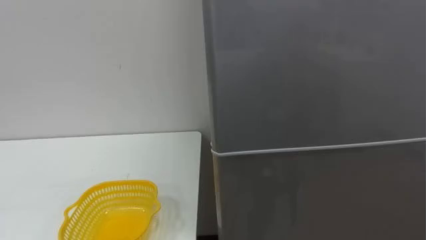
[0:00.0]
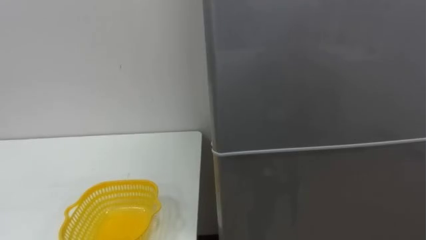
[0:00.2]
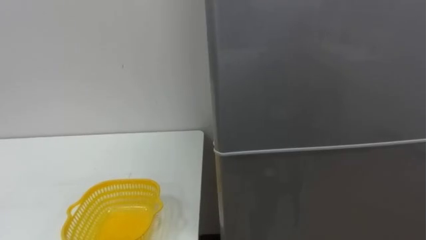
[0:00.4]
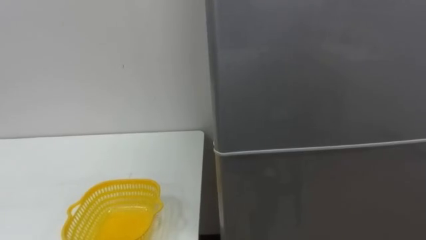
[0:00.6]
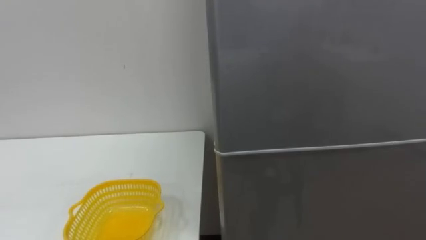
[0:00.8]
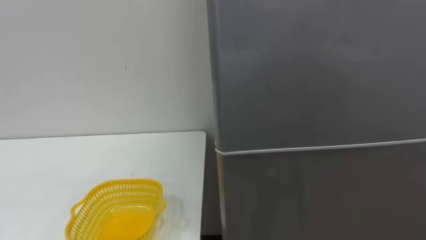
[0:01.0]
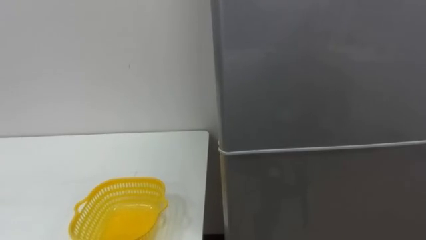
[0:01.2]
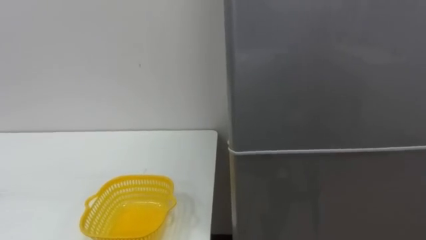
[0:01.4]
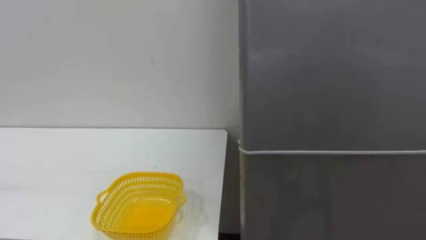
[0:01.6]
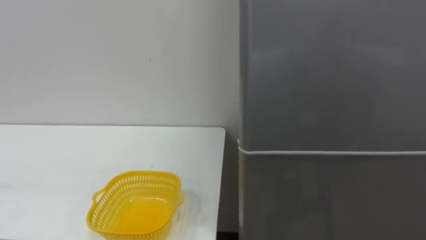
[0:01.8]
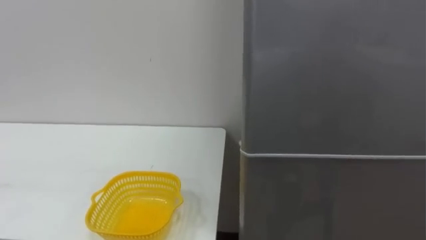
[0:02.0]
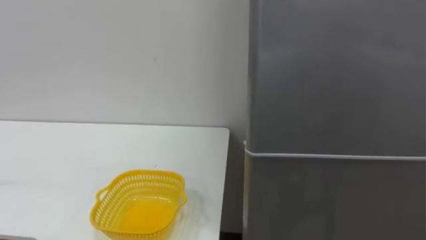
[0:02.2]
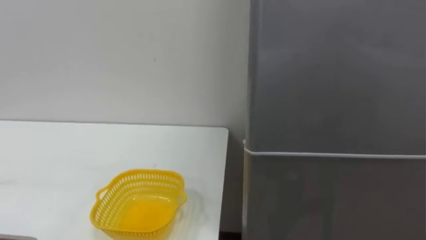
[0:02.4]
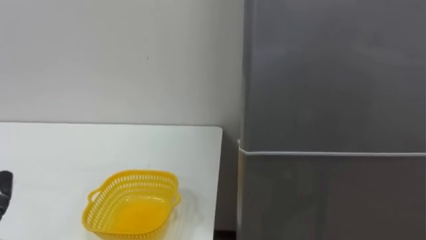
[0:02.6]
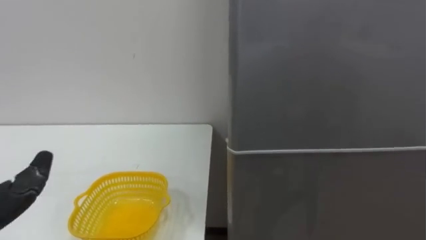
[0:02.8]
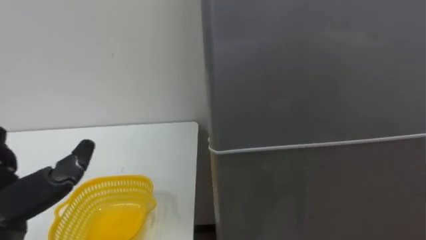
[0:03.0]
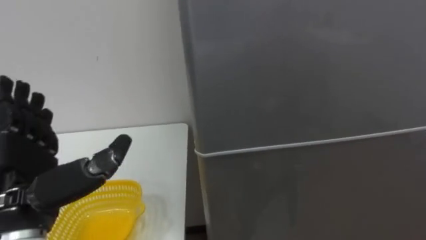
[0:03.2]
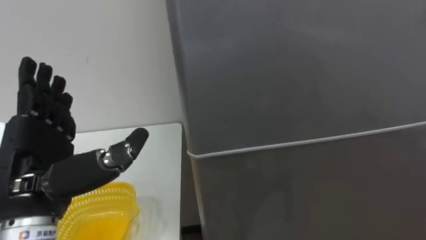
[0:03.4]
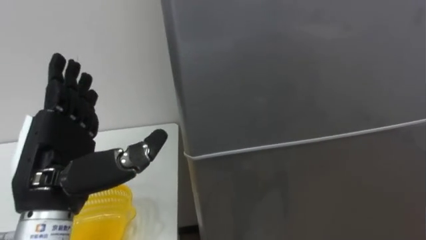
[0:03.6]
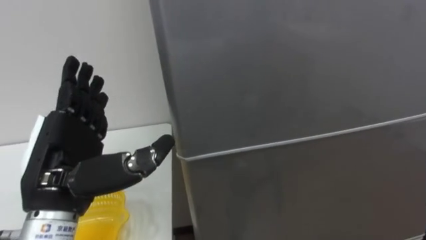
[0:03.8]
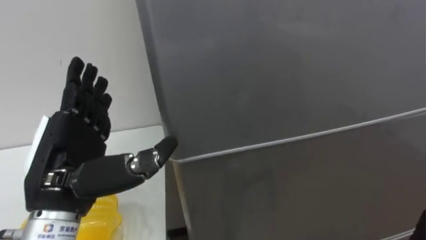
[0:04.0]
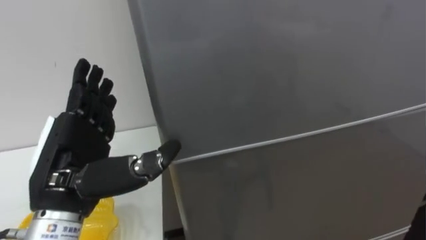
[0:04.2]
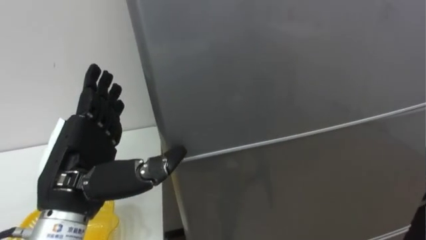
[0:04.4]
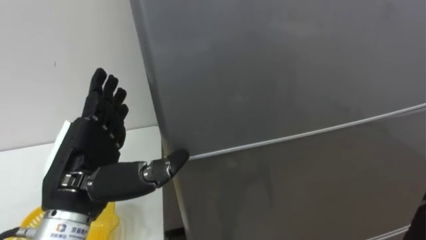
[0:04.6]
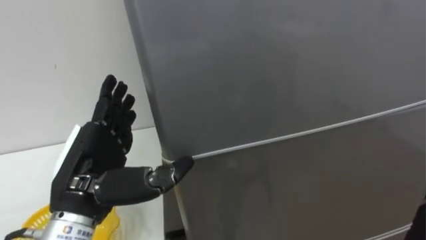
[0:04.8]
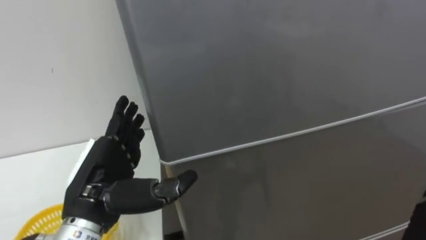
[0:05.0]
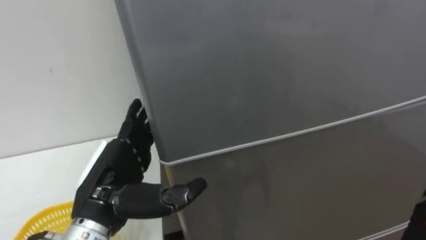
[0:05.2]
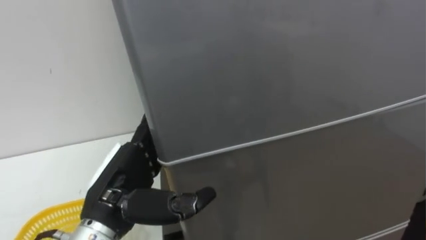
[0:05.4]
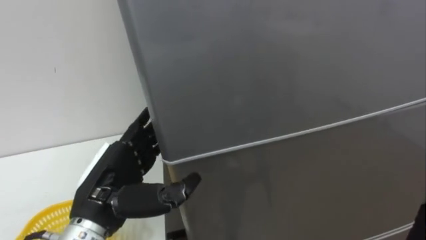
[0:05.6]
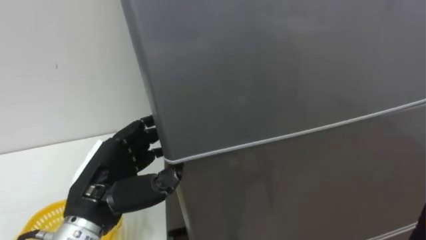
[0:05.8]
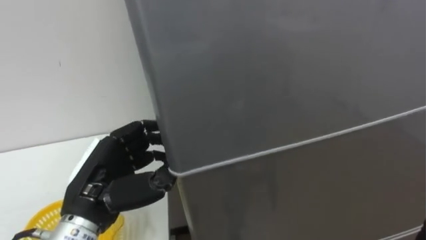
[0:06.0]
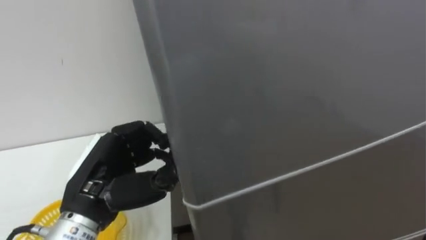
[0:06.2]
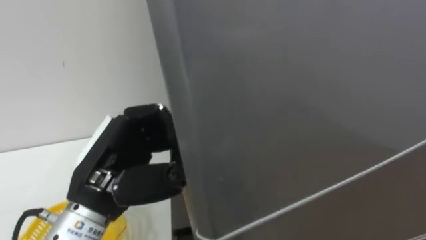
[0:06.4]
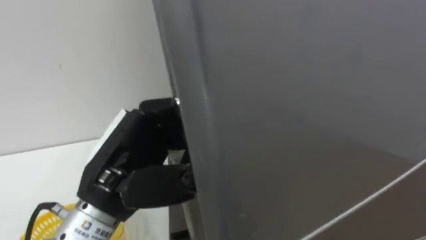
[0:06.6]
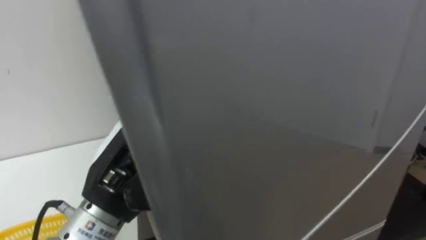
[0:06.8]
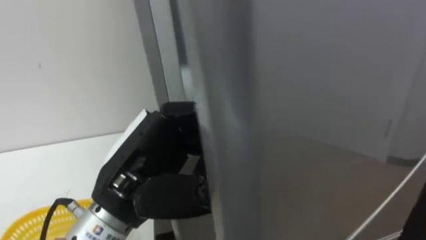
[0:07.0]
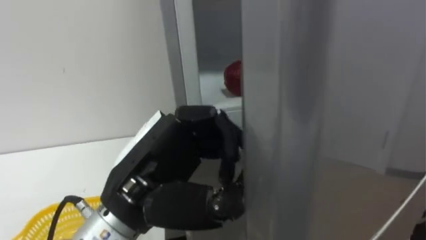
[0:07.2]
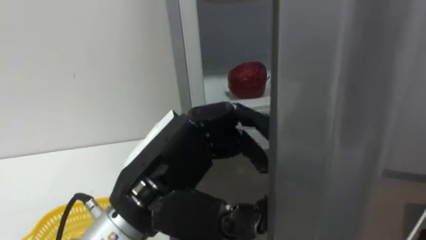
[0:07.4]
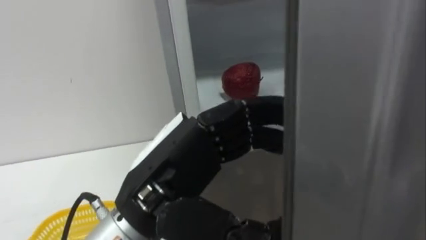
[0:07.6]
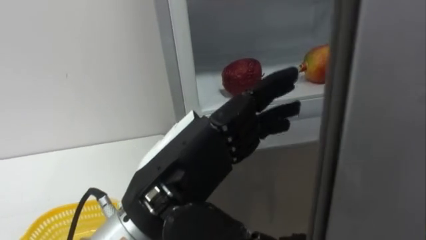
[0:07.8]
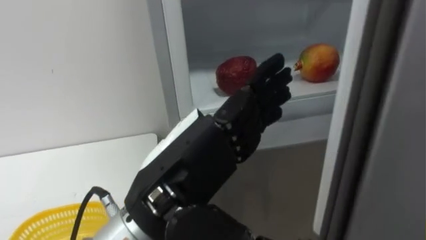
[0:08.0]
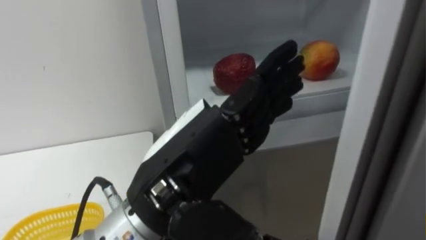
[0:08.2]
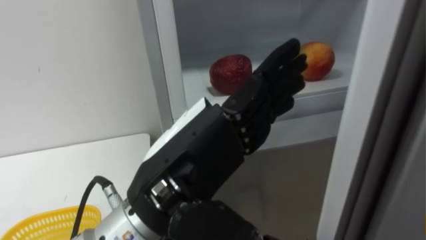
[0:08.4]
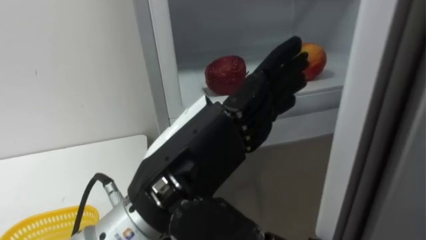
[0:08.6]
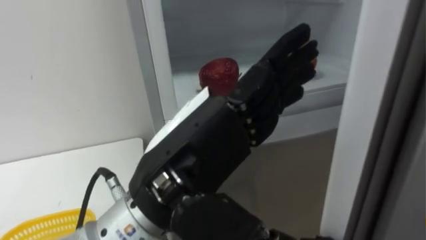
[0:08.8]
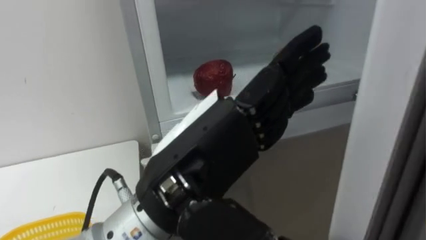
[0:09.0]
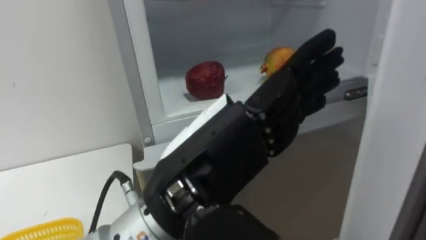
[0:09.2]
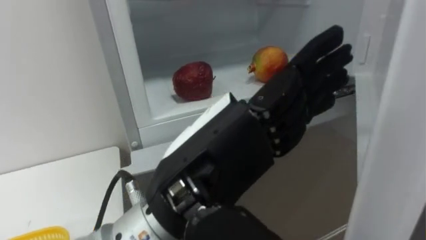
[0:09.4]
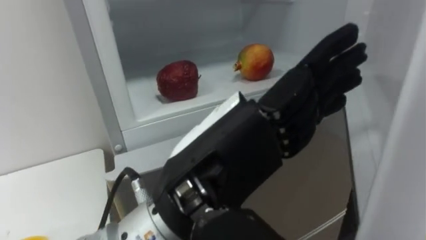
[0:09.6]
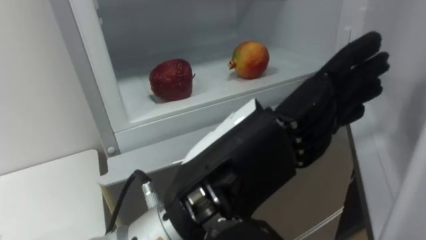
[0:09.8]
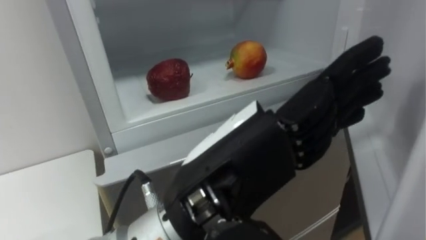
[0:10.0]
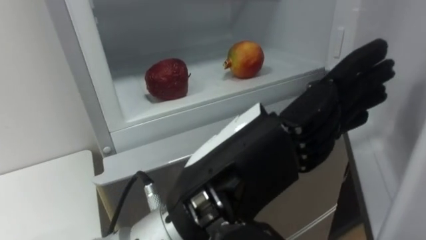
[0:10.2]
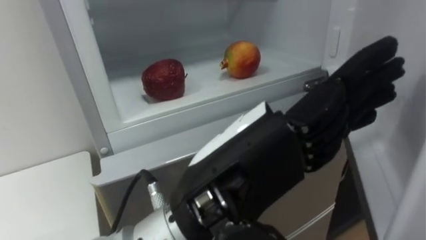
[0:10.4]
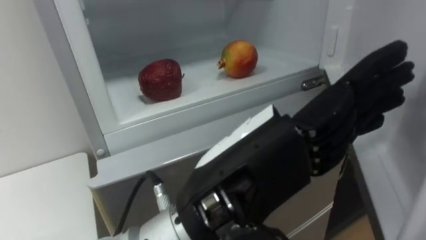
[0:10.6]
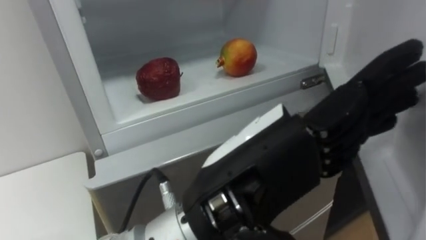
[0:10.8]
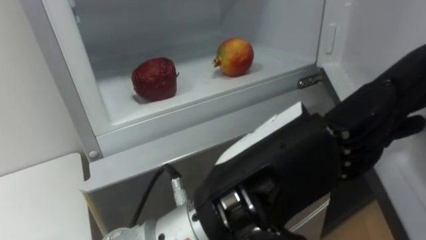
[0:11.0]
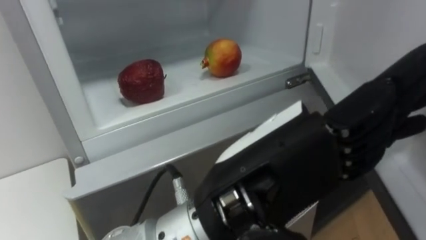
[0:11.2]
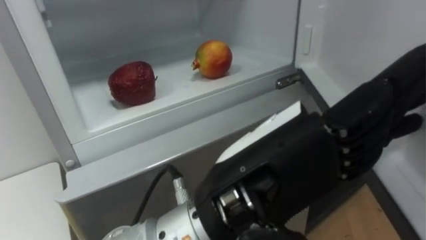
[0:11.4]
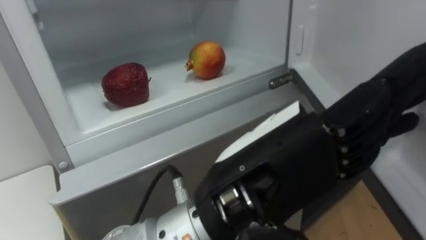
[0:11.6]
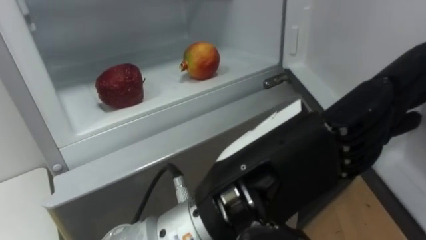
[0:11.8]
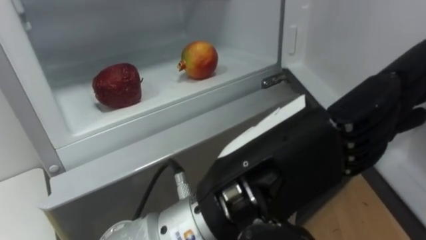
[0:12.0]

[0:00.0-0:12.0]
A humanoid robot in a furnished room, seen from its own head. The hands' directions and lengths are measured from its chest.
Task of the whole recording: Open the refrigerator door, take out the apple and the pomegranate, place them in the fruit basket on the left, and close the refrigerator door.
0:04.4 to 0:06.0: The left hand closes up.
0:06.0 to 0:07.6: The left hand is displaced to the right, upward and backward by some 15 cm, and closes and opens again.
0:07.6 to 0:09.0: The left hand changes place by some 5 cm, and opens up.

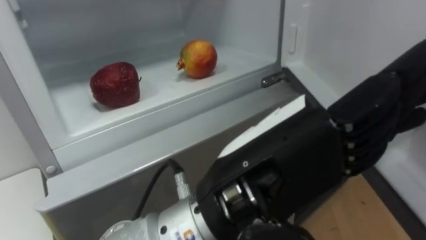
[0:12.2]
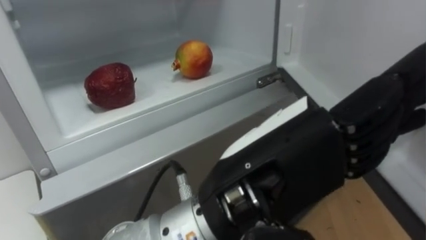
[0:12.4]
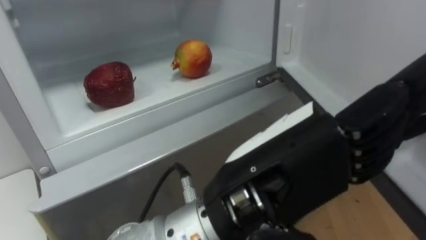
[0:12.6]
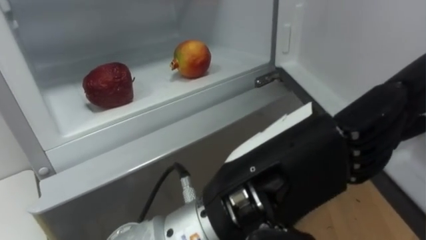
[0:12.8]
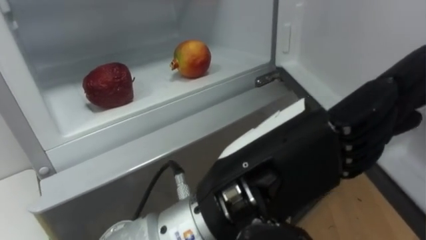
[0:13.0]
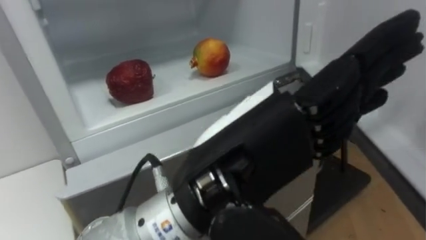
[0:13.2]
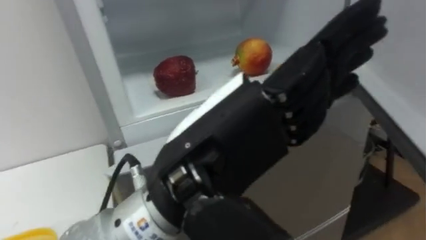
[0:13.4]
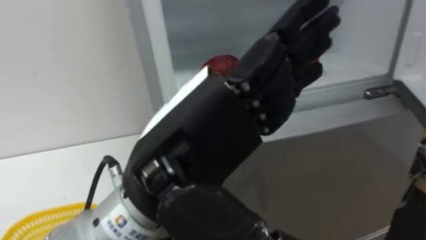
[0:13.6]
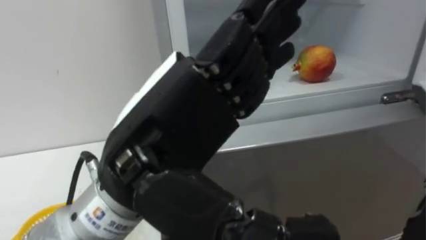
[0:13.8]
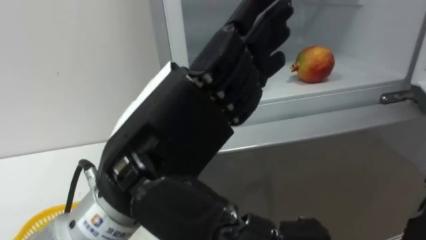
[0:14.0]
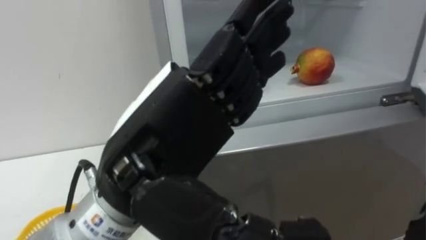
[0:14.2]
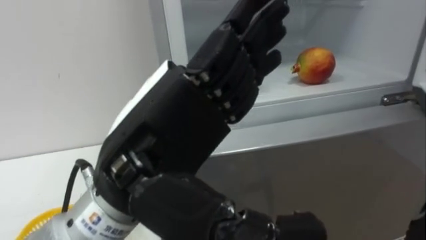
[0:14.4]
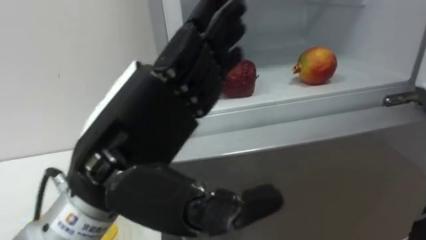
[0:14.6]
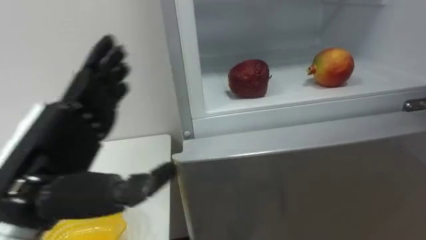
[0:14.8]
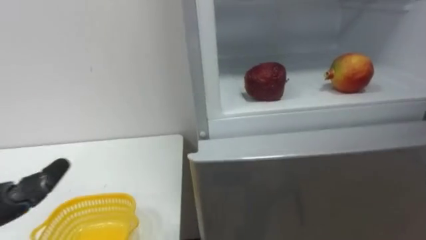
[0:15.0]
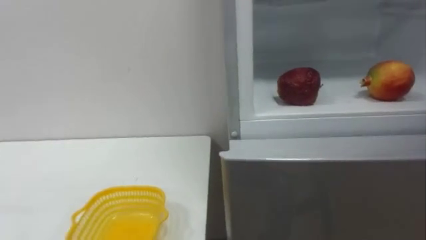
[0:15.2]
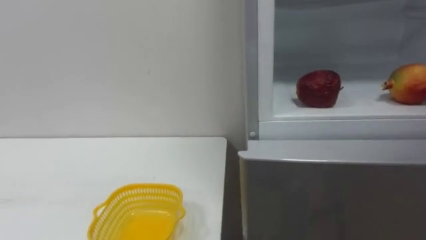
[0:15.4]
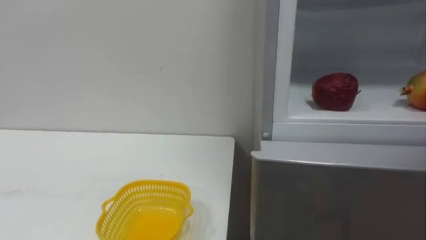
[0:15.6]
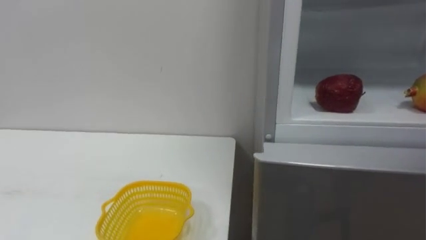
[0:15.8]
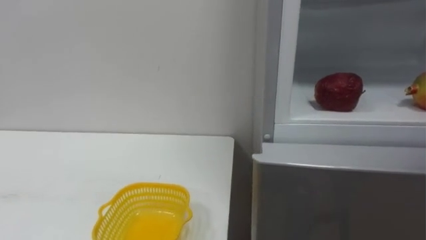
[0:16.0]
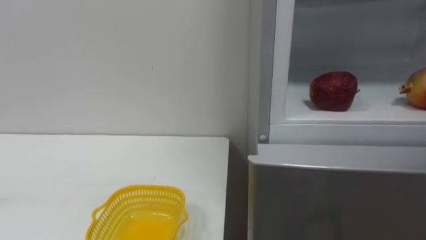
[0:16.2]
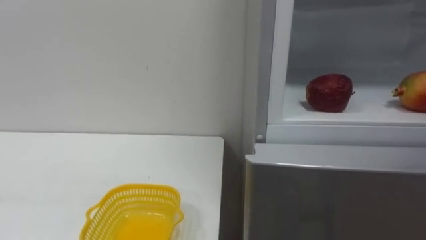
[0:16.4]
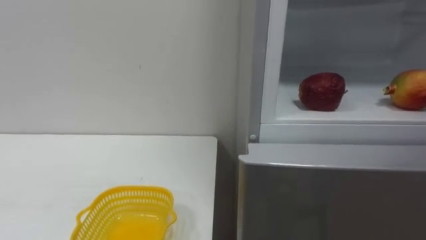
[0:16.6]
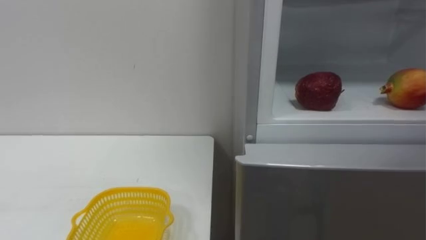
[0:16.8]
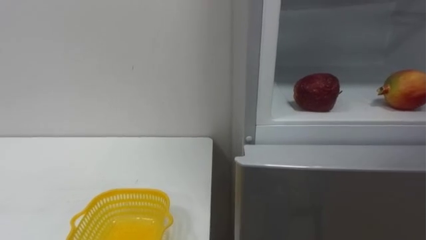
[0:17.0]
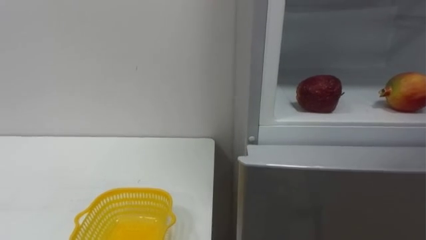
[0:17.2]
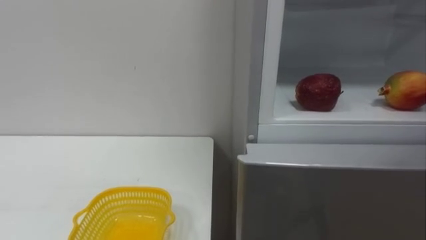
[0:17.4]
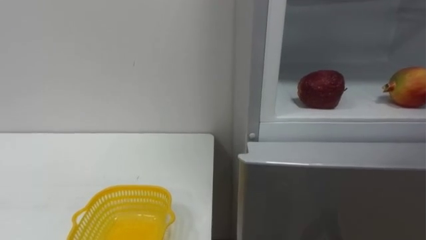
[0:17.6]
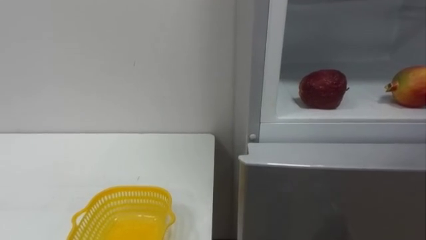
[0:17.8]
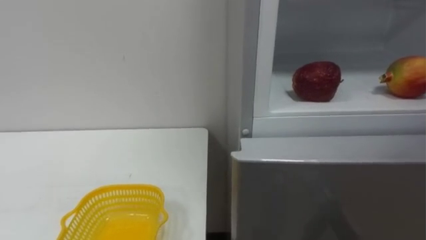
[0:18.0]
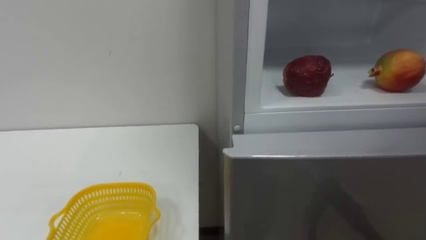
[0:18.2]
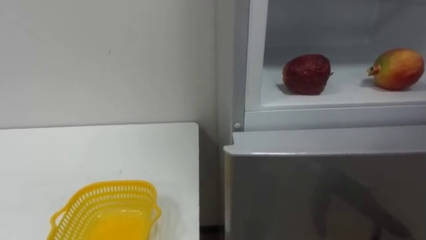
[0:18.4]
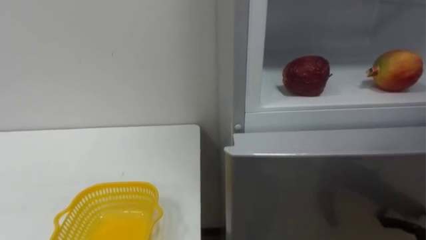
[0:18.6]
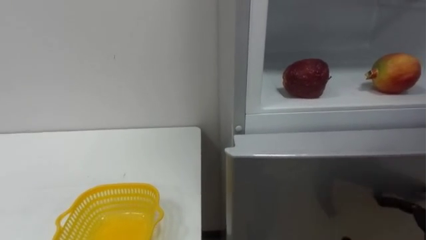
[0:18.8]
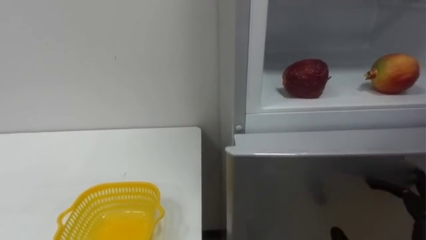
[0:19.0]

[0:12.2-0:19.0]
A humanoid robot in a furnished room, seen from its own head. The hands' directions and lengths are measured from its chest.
Task of the whole recording: Open the refrigerator door, take out the apple and the pomegranate, place them in the fruit basket on the left, and close the refrigerator door.
0:12.2 to 0:13.6: The left hand goes roughly 5 cm to the left.
